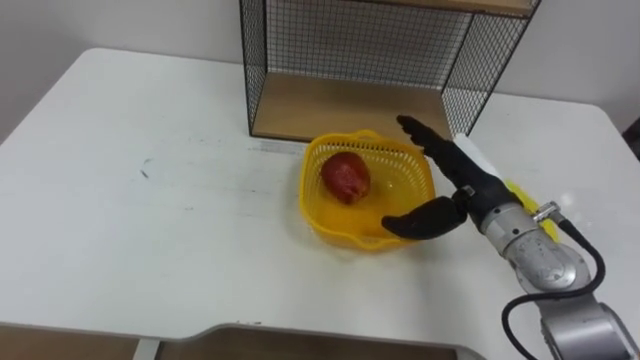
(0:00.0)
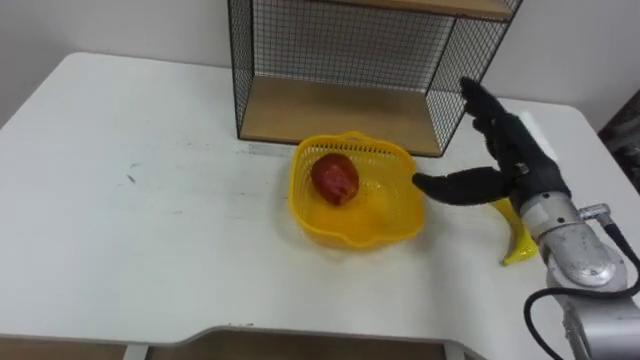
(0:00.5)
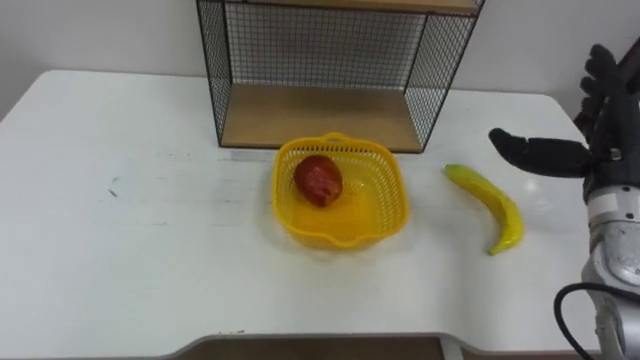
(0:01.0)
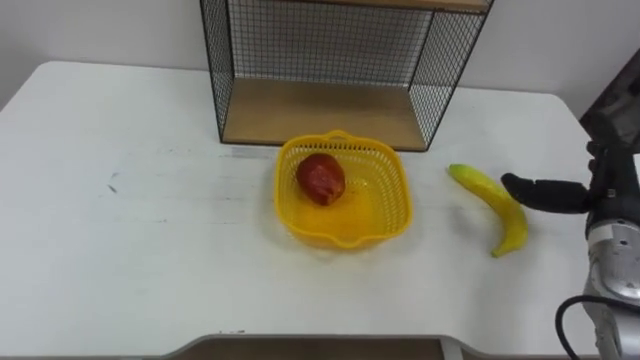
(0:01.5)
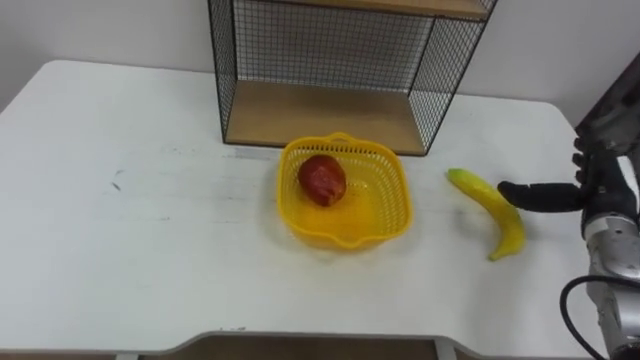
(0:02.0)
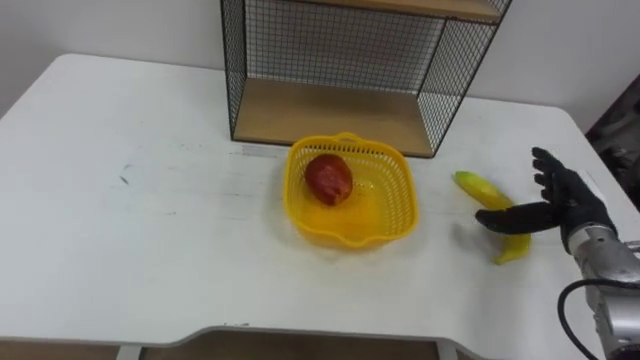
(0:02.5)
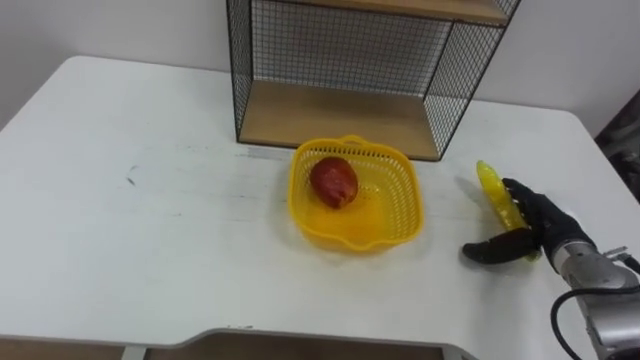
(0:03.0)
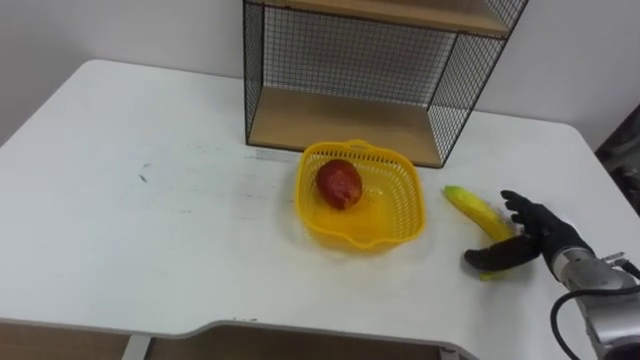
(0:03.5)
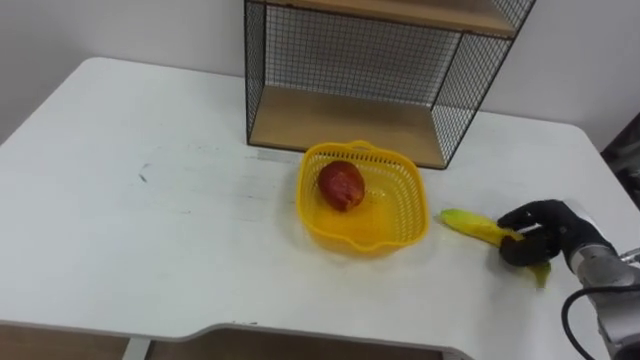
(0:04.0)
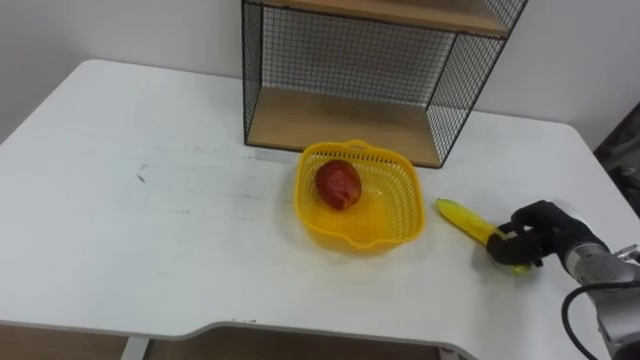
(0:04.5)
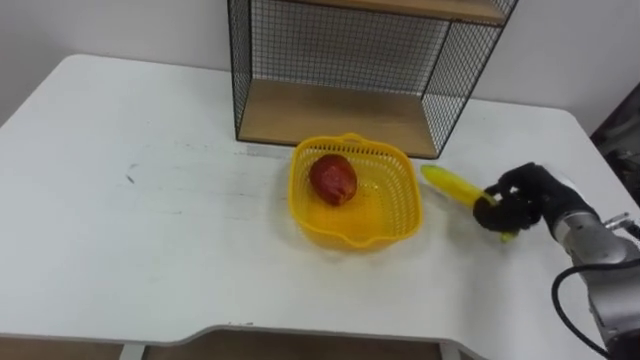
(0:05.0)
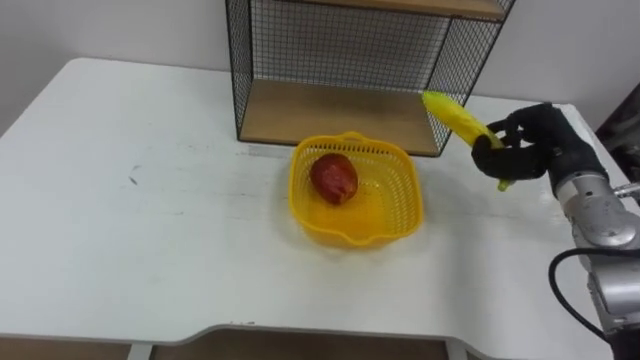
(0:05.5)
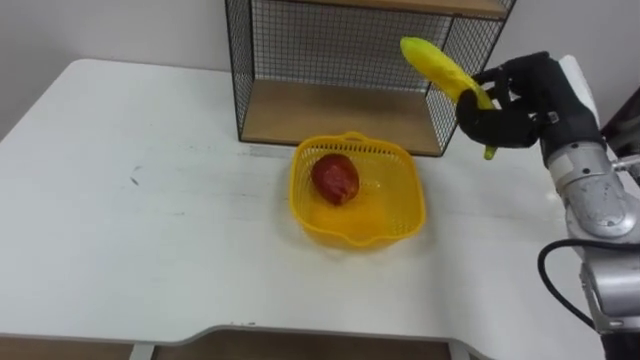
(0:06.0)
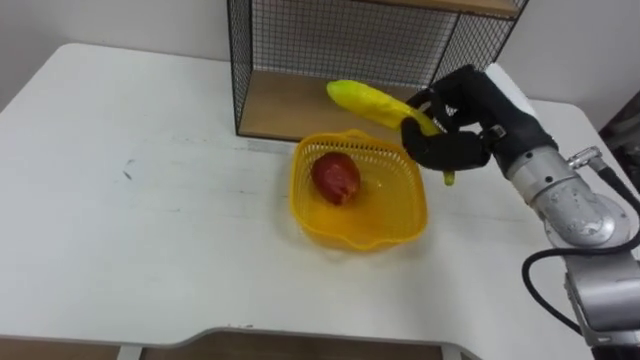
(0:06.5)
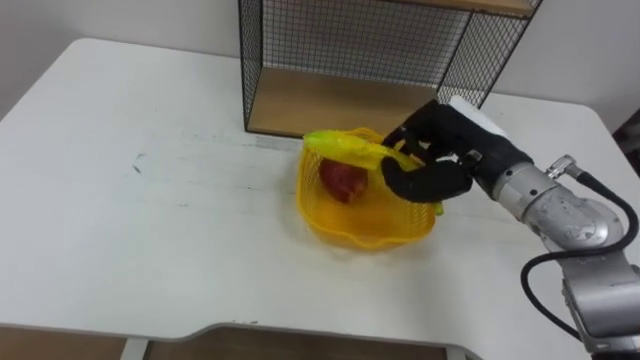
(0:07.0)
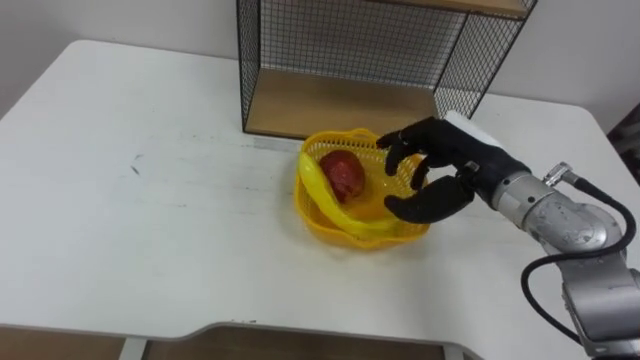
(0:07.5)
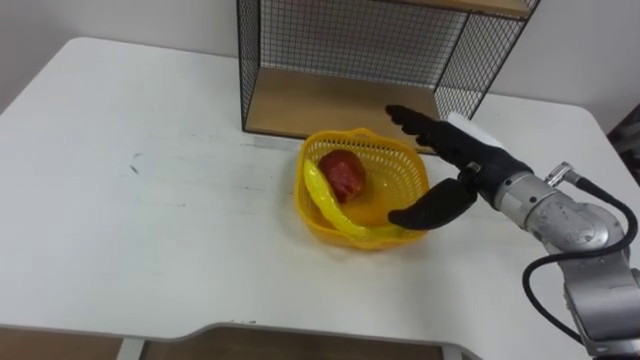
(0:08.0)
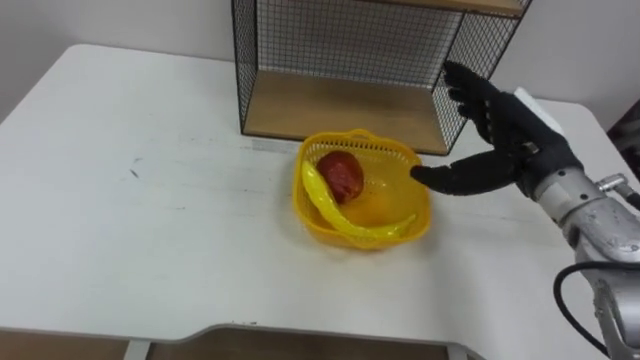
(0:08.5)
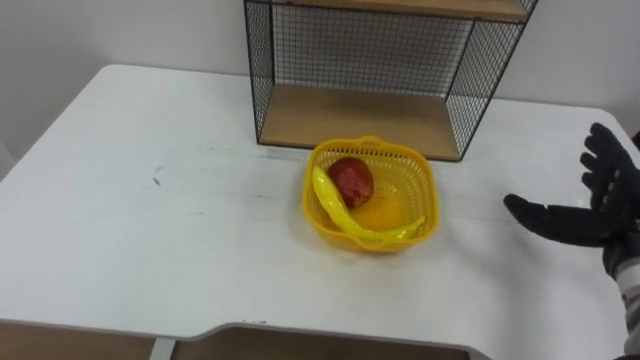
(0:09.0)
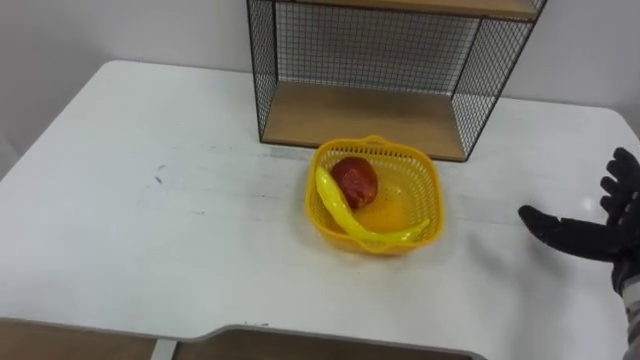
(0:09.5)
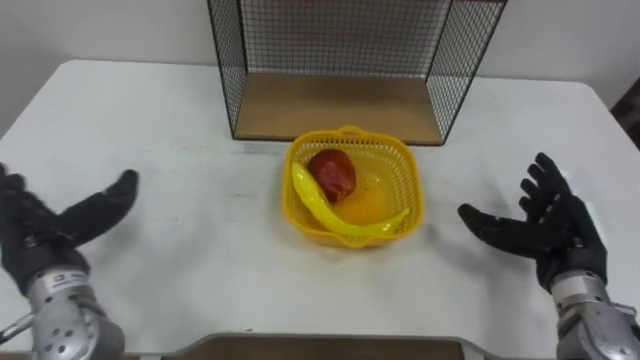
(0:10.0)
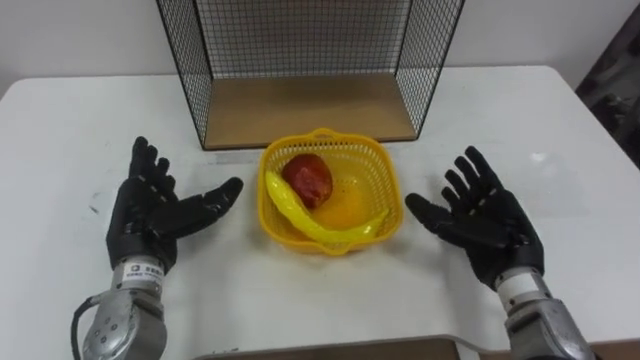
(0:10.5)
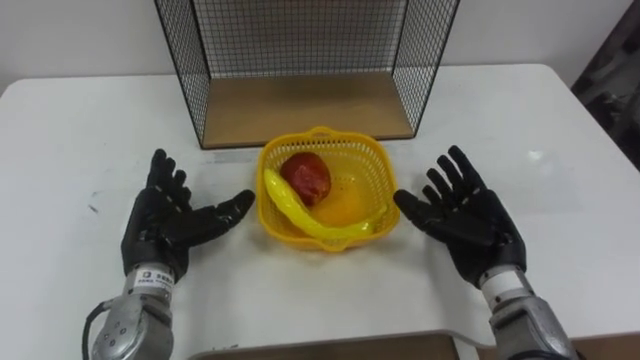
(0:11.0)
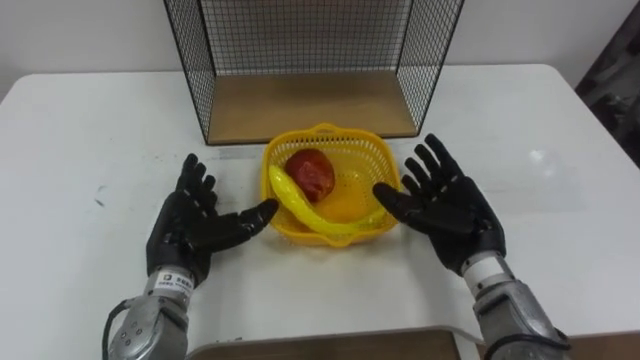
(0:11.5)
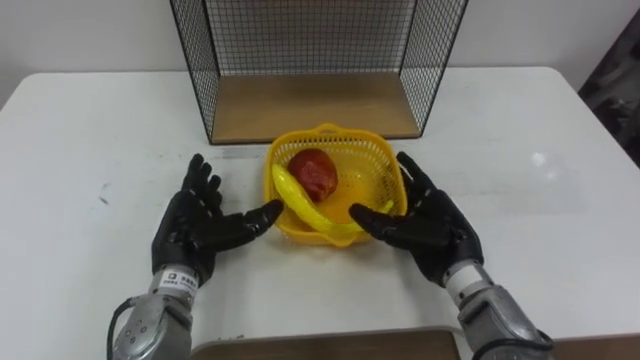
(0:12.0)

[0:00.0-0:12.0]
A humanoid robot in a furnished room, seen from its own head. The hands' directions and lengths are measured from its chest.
Task of the whole recording: Put the fruit on the table into the basket, then place the basket on the shelf.
0:00.0 to 0:02.0: The right hand moves to the right, roughly 15 cm.
0:02.0 to 0:04.0: The right hand travels downward by some 5 cm, and closes.
0:04.0 to 0:06.0: The right hand travels upward and to the left by approximately 20 cm.
0:06.0 to 0:08.0: The right hand travels to the left by about 10 cm, and opens.
0:10.0 to 0:12.0: The left hand goes roughly 15 cm to the right; the right hand moves to the left, roughly 15 cm.

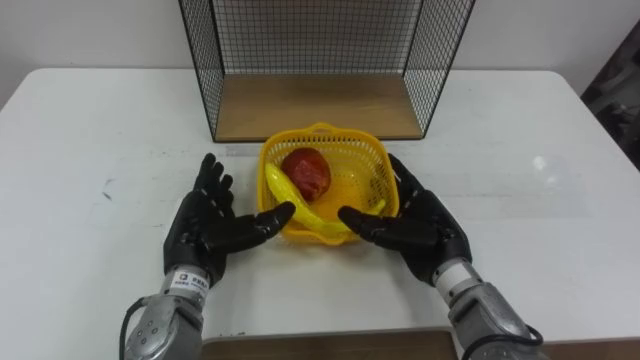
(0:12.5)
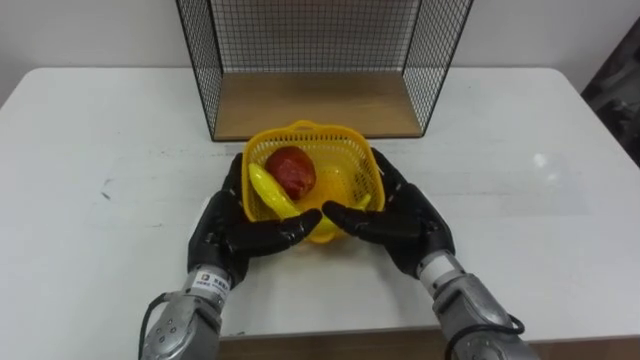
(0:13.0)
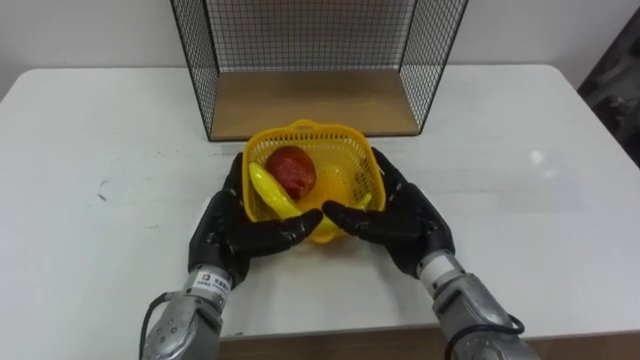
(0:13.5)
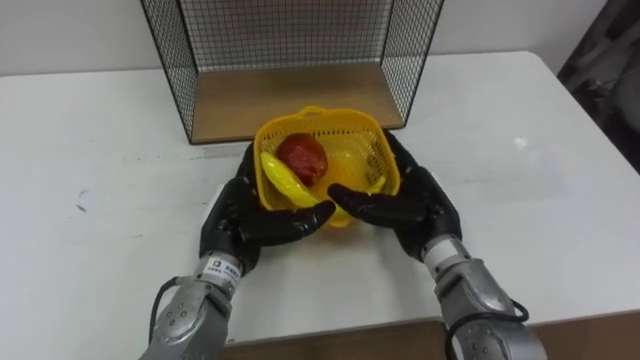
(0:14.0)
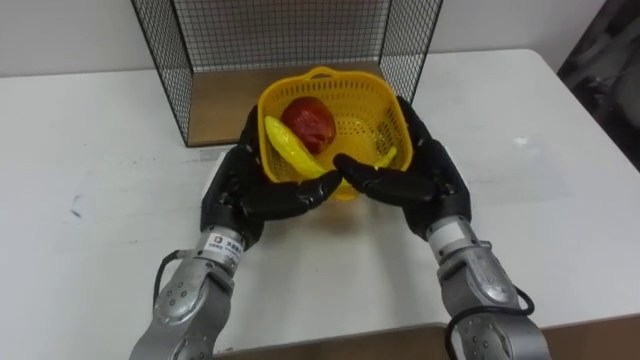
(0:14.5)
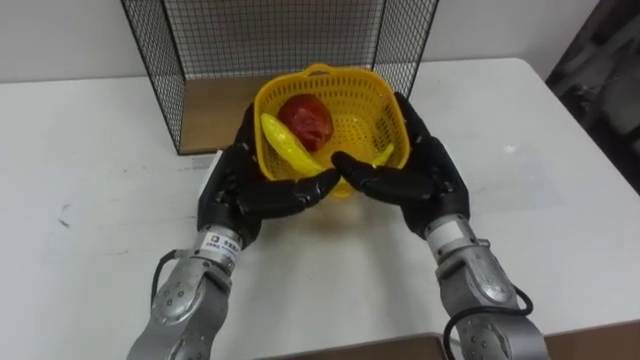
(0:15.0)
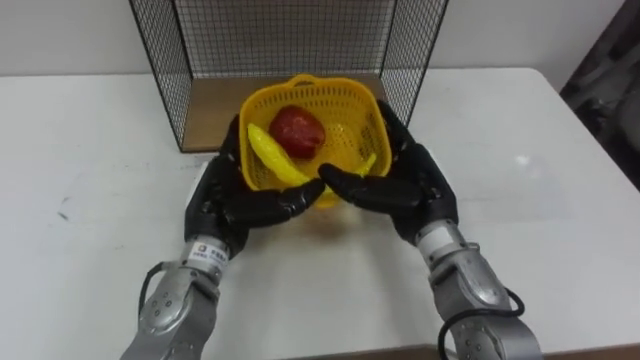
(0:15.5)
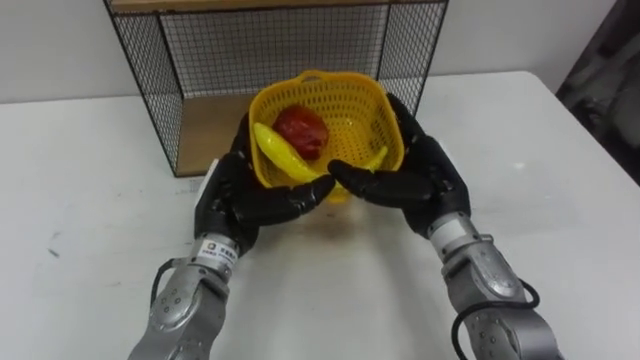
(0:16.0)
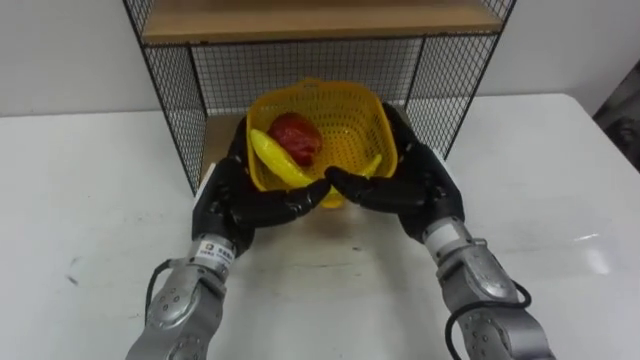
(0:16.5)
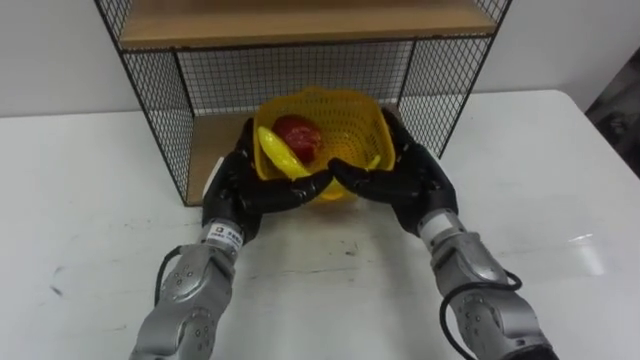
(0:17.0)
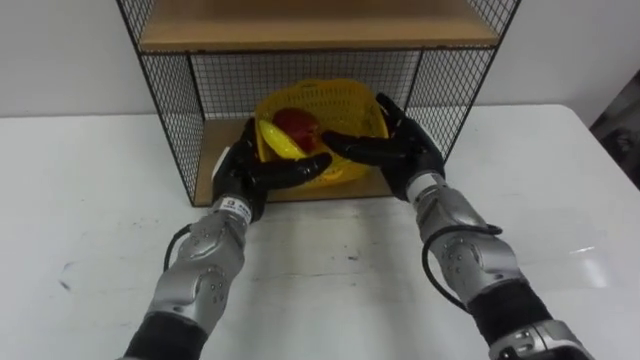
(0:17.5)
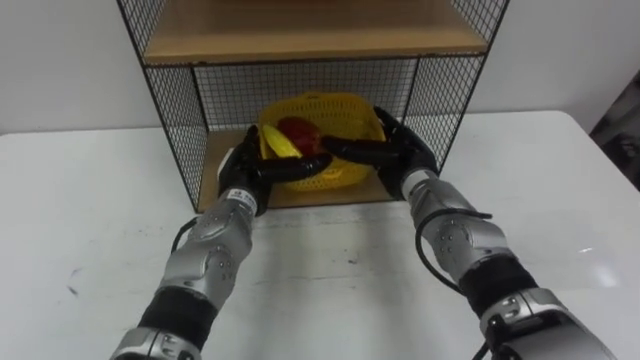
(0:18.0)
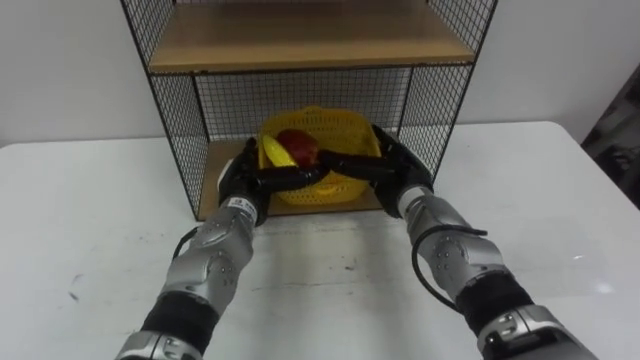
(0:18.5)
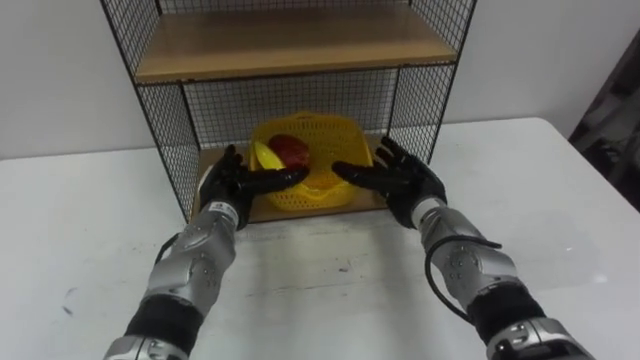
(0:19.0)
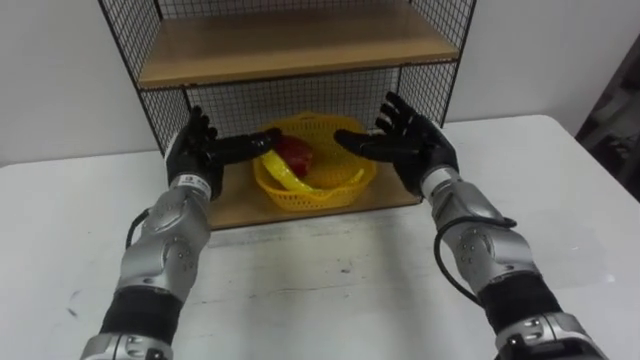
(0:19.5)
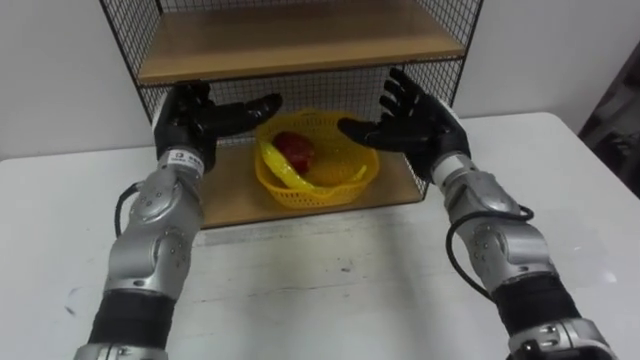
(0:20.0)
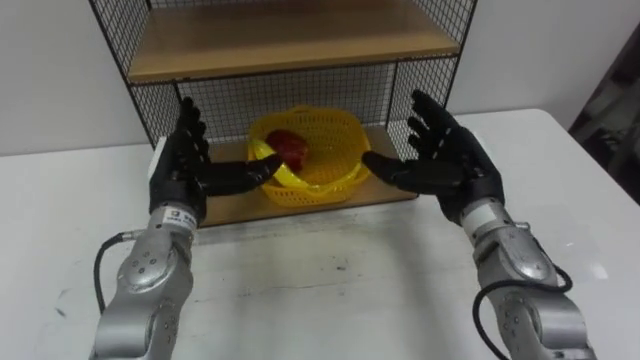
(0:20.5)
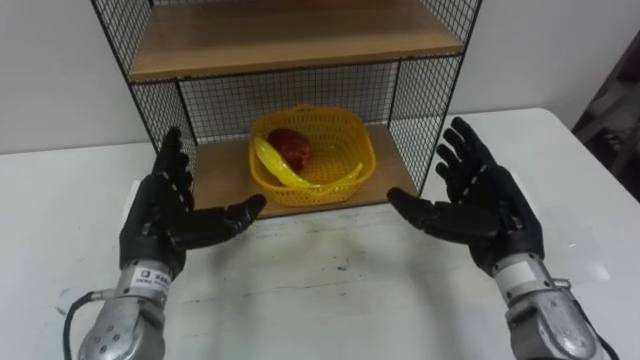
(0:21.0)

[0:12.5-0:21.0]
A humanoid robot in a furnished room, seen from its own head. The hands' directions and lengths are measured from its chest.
Task of the whole recording: Put the fruit on the table into the basket, then place the basket on the shelf.
0:12.5 to 0:14.5: The left hand travels upward and to the right by about 10 cm. Meanwhile the right hand shifts about 5 cm upward.
0:16.5 to 0:19.0: The right hand heads downward, covering approximately 5 cm; the left hand is displaced downward and forward by some 10 cm.
0:19.0 to 0:21.0: The left hand is displaced backward, to the left and upward by about 15 cm, while the right hand shifts approximately 15 cm backward, to the right and upward.
